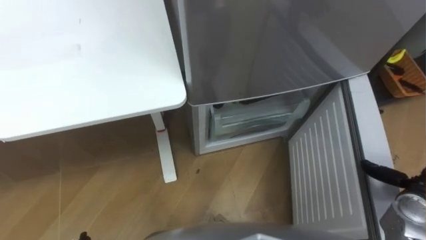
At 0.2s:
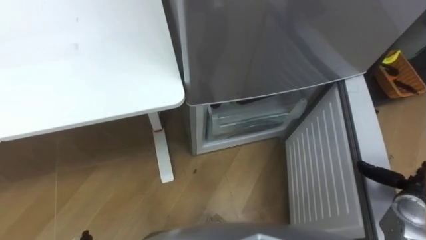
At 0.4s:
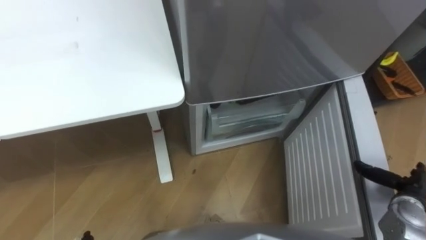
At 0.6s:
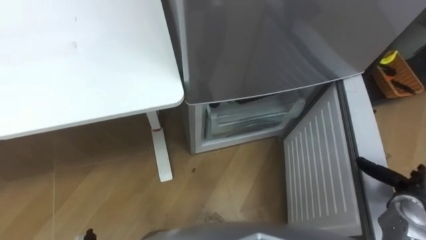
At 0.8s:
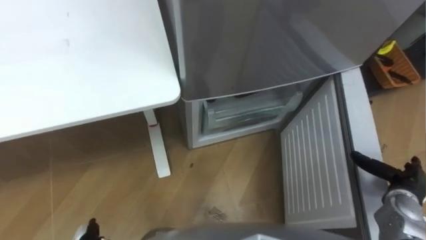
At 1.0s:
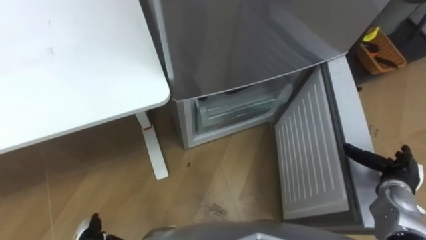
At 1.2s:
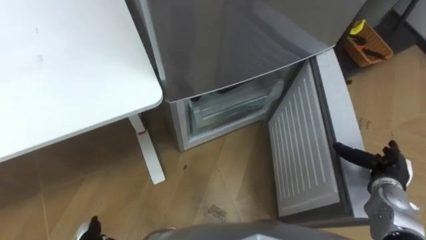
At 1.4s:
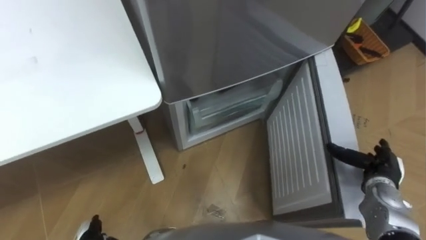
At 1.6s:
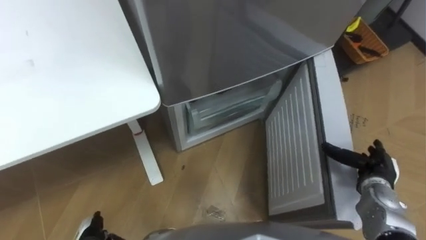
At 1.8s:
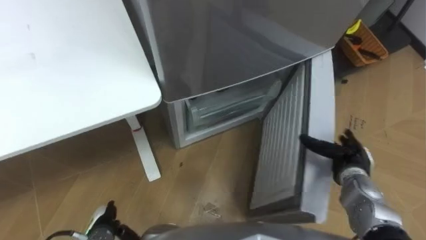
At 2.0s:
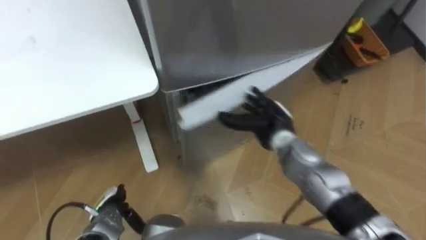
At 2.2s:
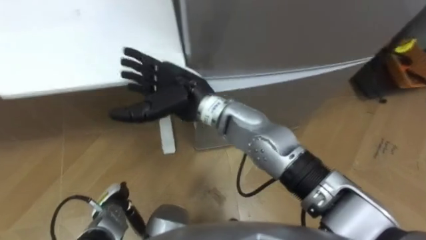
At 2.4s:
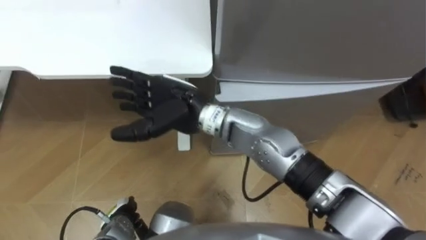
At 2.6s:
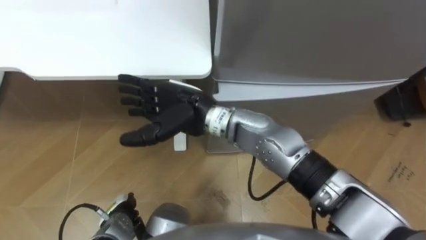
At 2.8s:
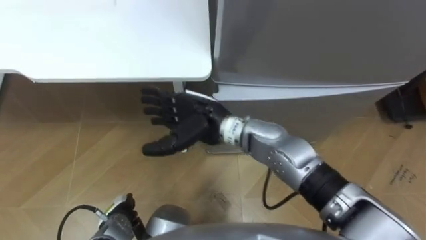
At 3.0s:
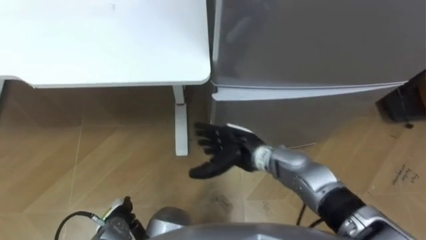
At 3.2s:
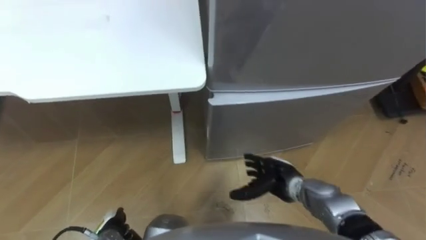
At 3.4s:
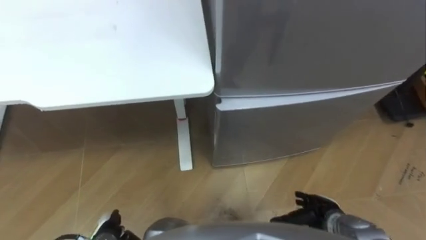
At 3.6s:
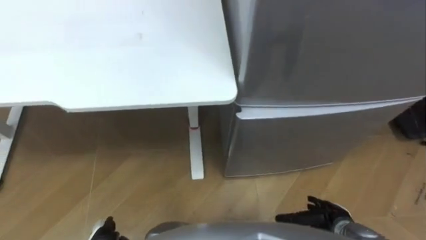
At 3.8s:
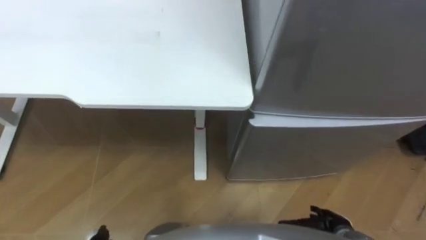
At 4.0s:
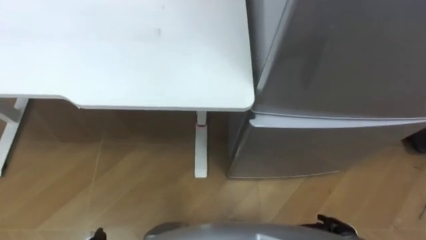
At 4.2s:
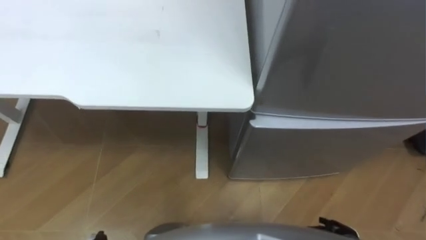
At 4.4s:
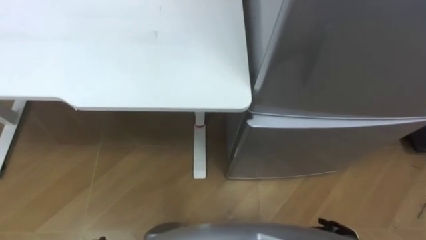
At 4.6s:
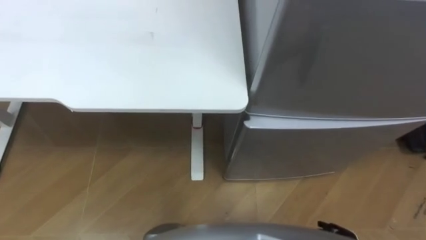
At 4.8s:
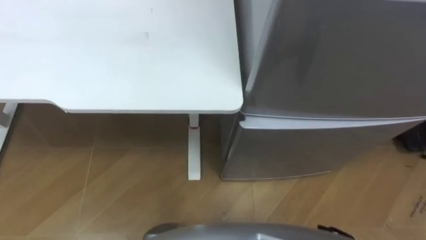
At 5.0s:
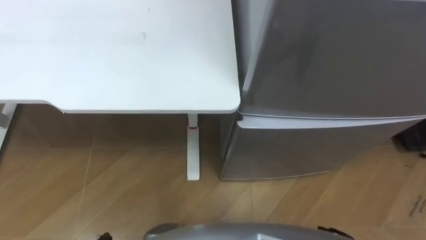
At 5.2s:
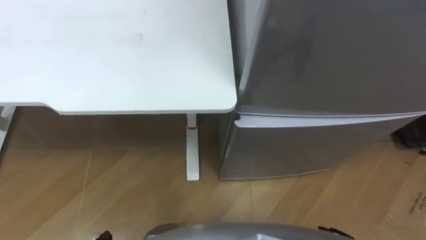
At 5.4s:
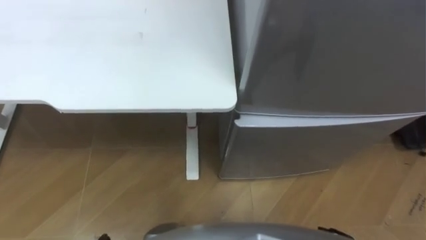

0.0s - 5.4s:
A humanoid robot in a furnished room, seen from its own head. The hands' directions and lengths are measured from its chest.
Task of the whole recording: Place the drink on the table on the bottom shelf of the refrigerator, then close the drawer and the refrigerator door.
0.0s - 1.4s: The right hand travels to the left by some 5 cm.
1.4s - 2.8s: The right hand goes approximately 40 cm to the left.
2.8s - 4.0s: The right hand shifts approximately 40 cm to the right, downward and backward.
